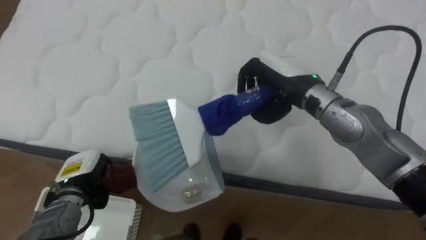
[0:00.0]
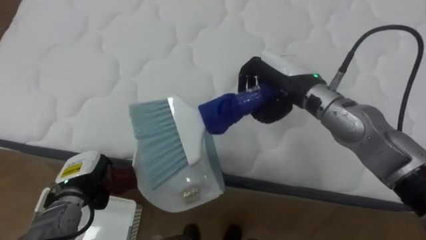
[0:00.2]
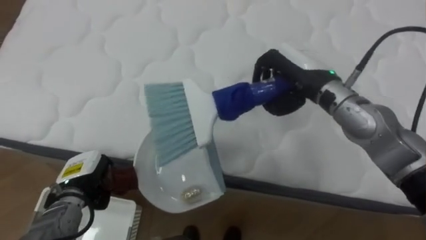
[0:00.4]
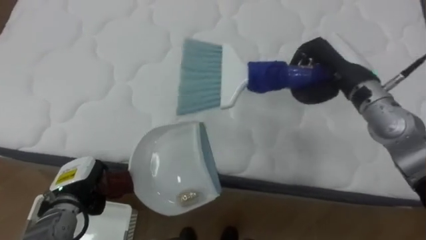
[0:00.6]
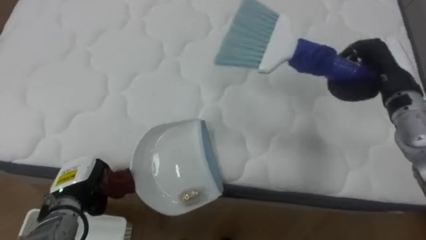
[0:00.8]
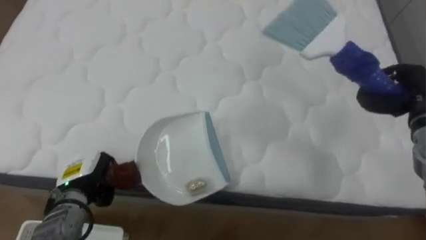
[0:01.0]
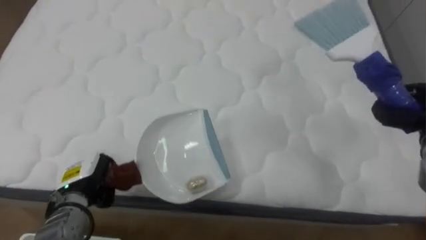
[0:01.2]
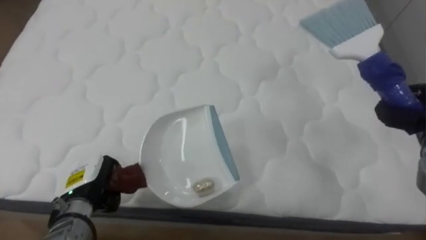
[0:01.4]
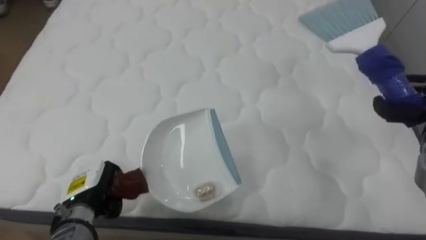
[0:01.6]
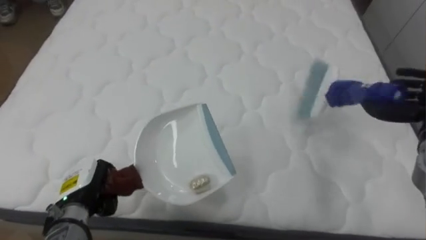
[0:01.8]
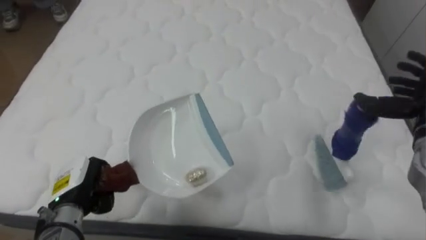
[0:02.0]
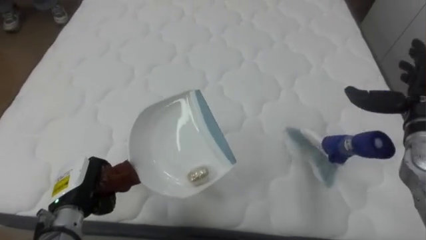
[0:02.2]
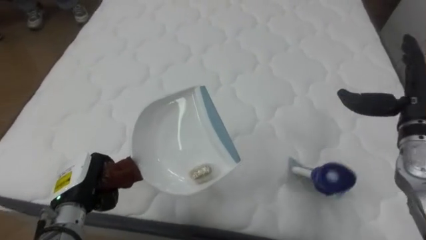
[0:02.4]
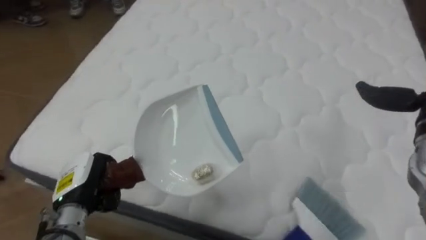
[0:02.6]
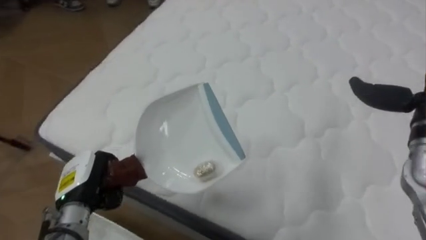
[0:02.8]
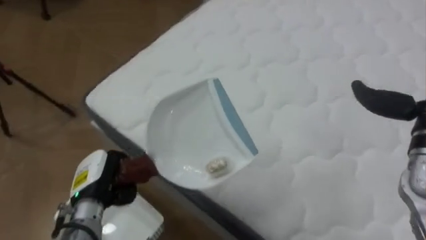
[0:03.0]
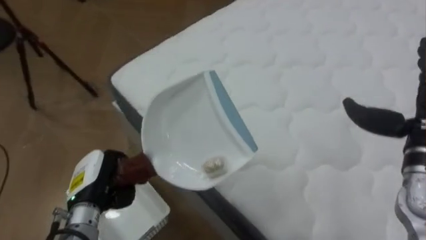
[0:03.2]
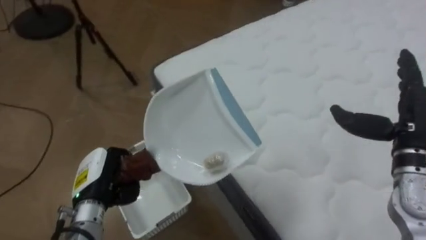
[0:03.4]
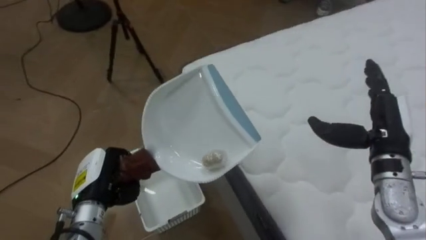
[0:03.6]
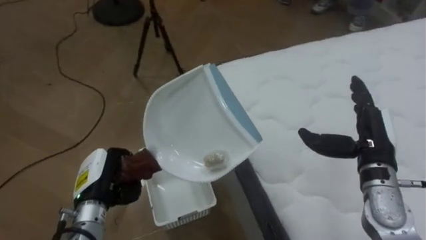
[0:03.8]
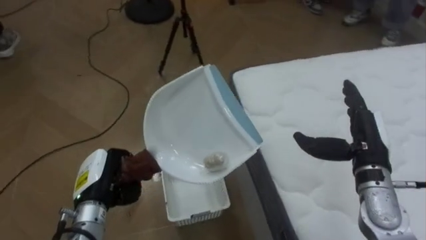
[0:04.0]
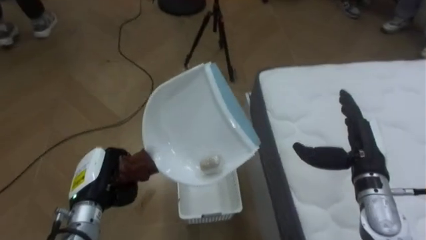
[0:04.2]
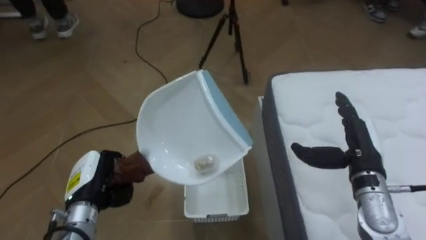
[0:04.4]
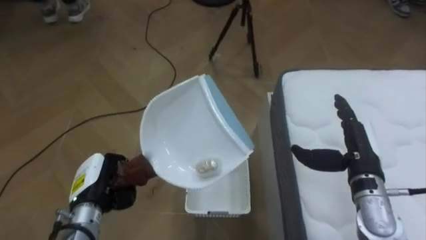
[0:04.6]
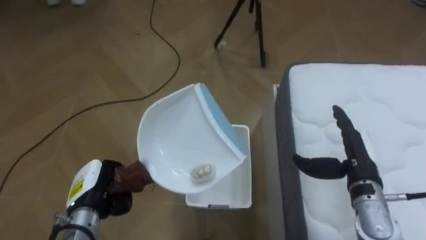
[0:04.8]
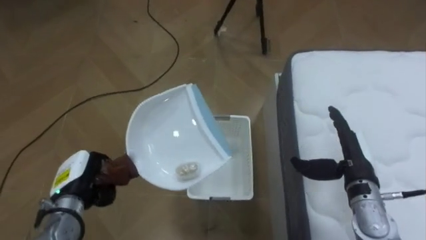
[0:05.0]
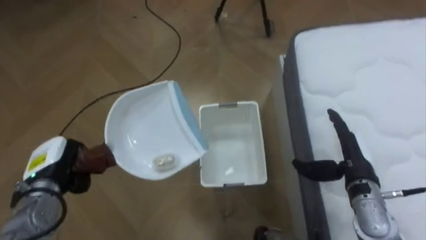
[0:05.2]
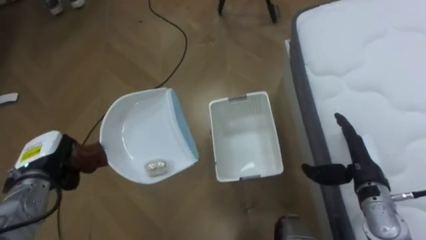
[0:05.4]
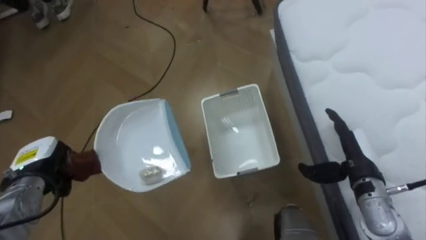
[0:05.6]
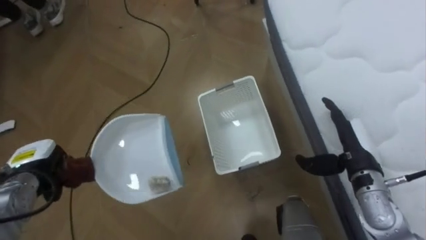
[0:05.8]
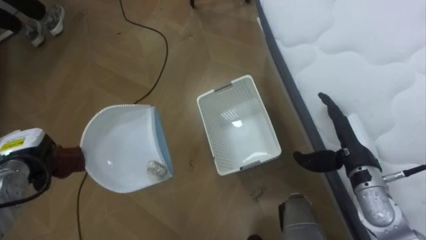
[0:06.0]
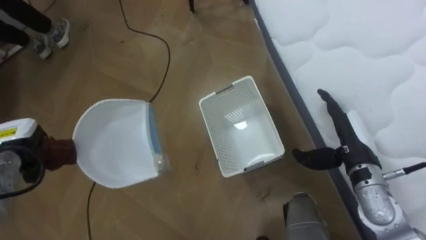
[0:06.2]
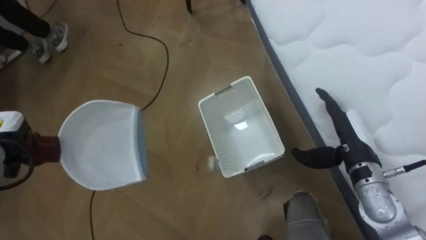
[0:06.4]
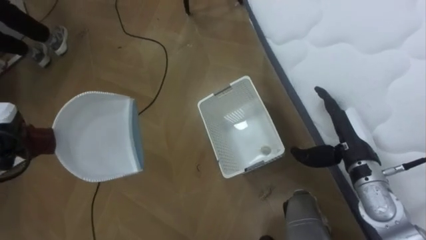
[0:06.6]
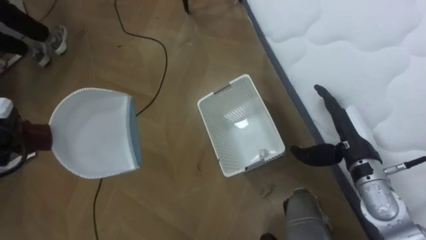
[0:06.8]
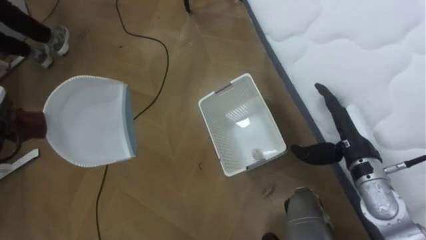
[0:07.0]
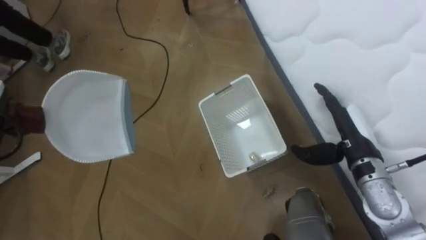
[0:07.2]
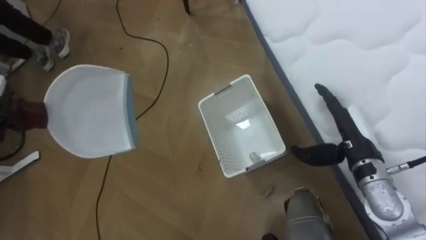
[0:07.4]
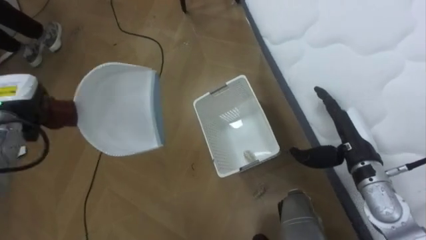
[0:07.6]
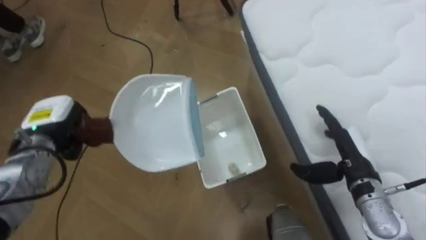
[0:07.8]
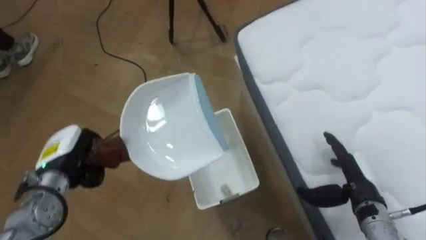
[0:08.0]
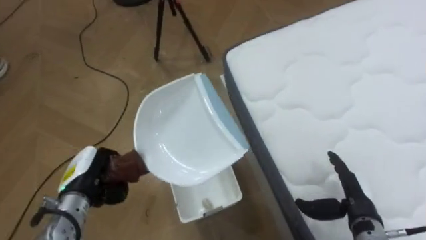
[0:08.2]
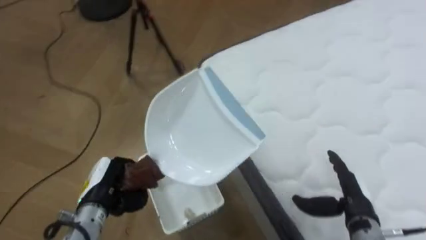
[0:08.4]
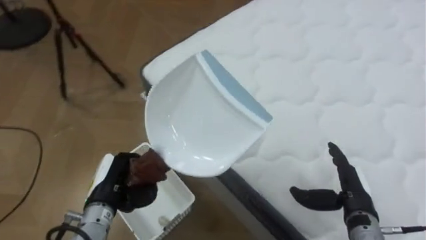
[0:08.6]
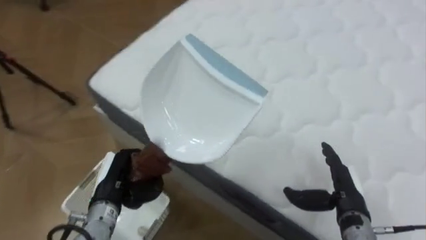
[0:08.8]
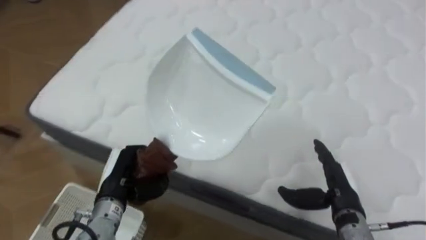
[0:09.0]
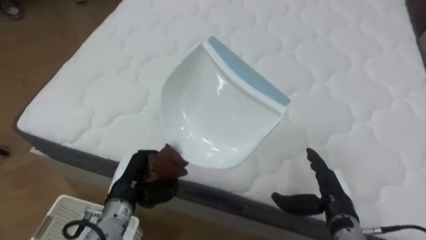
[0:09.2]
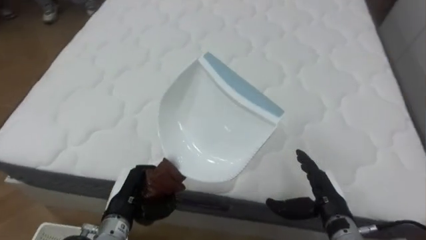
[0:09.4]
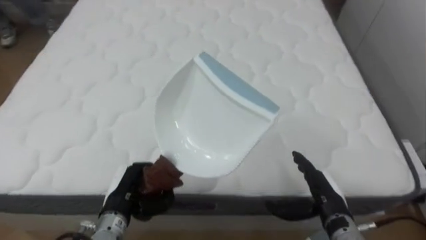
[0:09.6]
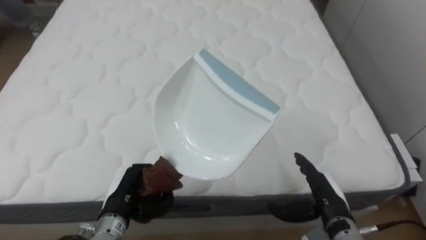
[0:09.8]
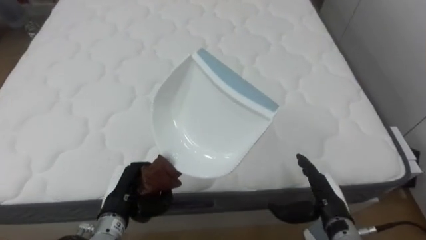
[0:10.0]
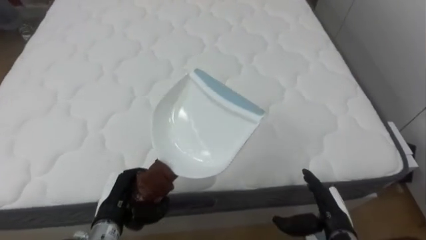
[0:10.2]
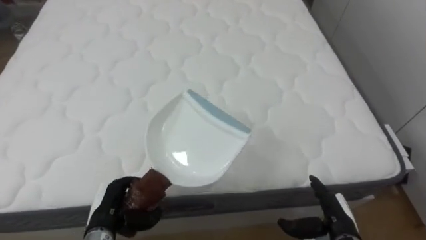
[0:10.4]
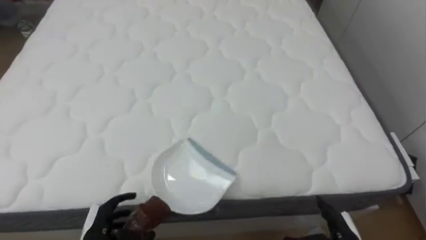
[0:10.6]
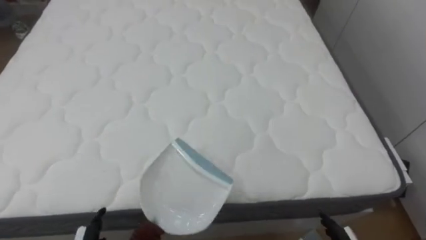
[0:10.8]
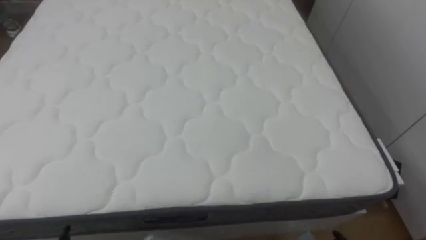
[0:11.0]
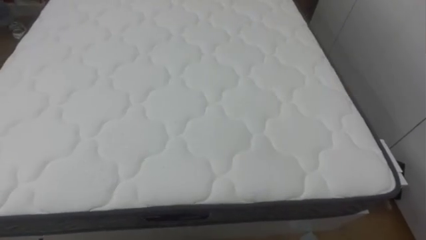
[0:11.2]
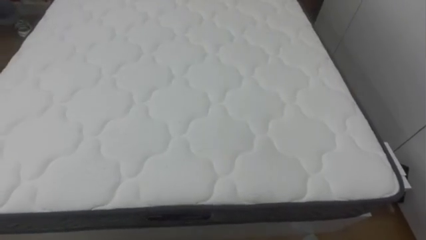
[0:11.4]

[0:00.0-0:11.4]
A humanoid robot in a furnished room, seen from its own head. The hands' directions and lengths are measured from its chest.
Task of the whole recording: Pick up the brush on your right and the dustpan on your left. Use the brush to sweep the crumpled paper on the bed into the dustpan, then turn left and empty it into the basket.
0:01.4 to 0:02.8: The robot's body swings some 20 degrees to its left.
0:02.8 to 0:04.2: The robot rotates approximately 60 degrees to its left.
0:04.2 to 0:05.6: The left hand heads to the left, covering some 10 cm.
0:07.2 to 0:08.6: The robot turns to its right by approximately 35 degrees. The right hand goes about 10 cm downward and backward.
0:08.6 to 0:10.0: The robot turns to its right by roughly 55 degrees.

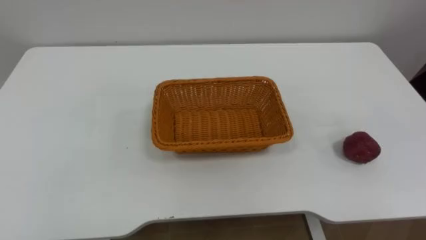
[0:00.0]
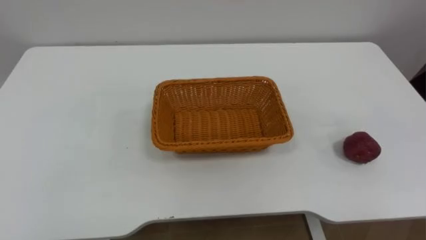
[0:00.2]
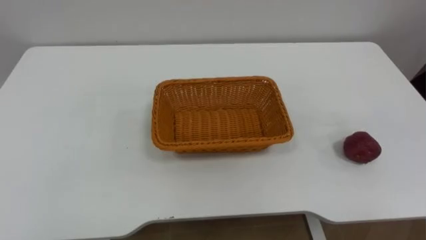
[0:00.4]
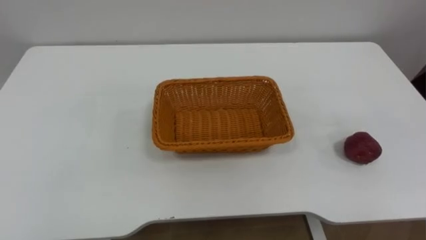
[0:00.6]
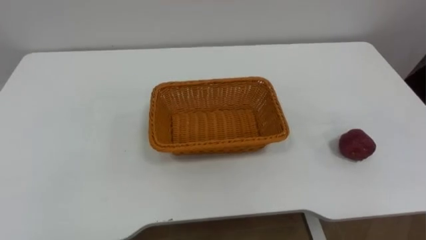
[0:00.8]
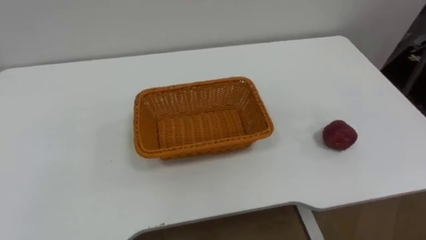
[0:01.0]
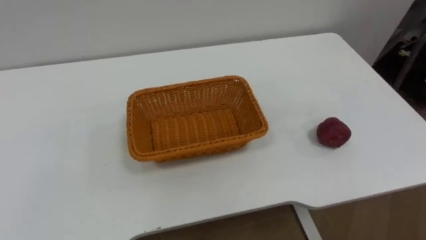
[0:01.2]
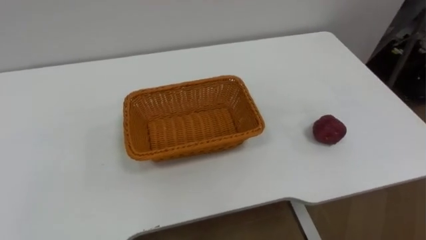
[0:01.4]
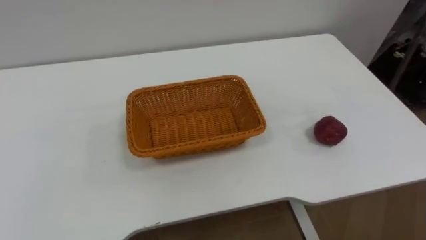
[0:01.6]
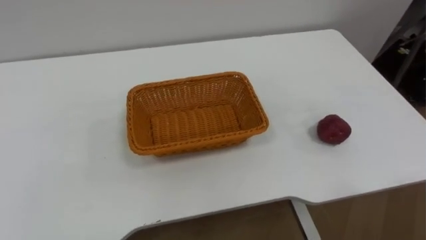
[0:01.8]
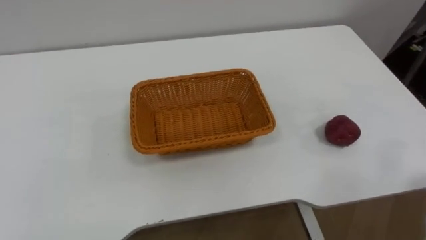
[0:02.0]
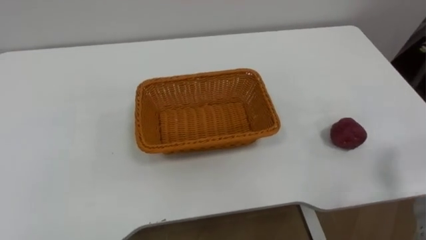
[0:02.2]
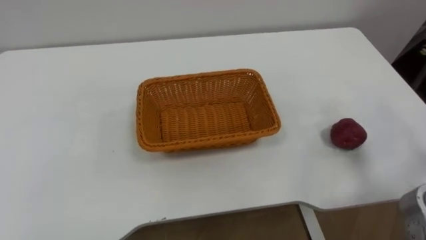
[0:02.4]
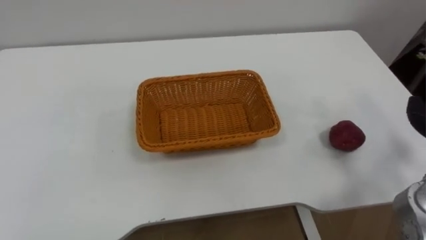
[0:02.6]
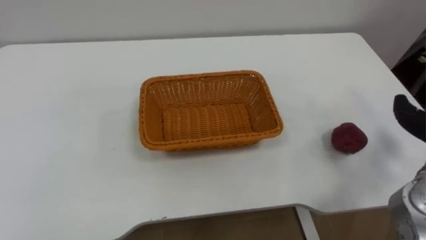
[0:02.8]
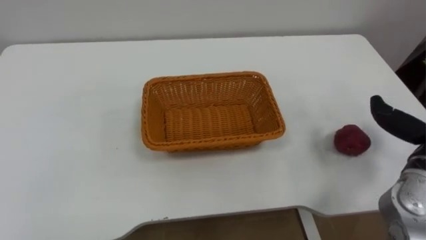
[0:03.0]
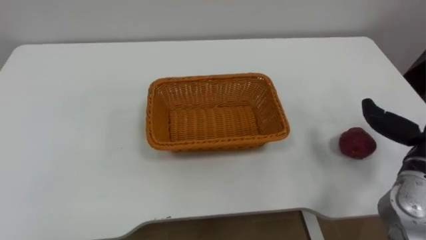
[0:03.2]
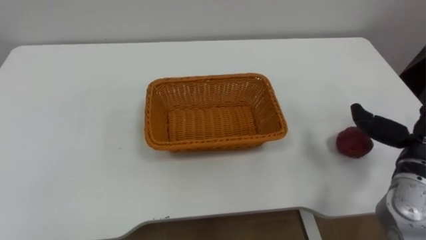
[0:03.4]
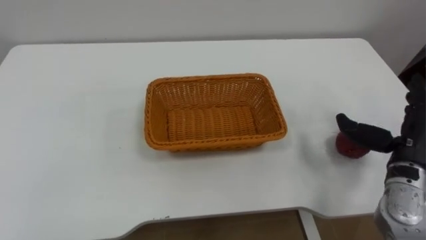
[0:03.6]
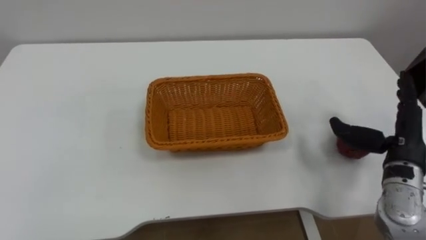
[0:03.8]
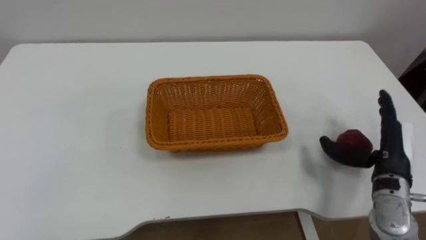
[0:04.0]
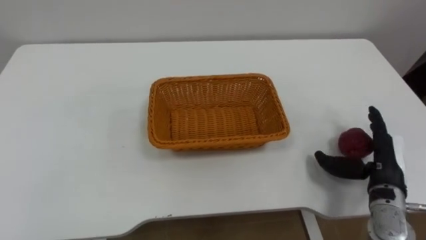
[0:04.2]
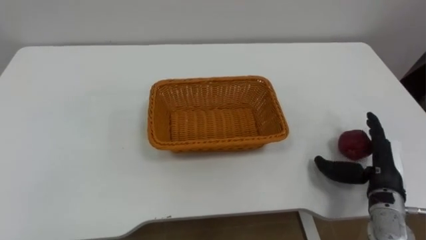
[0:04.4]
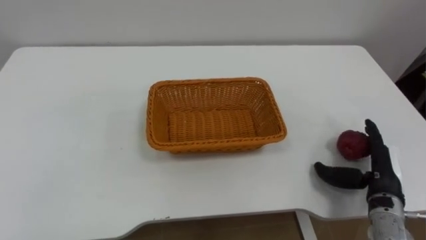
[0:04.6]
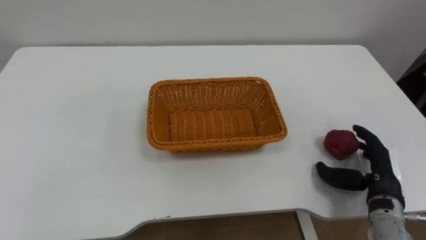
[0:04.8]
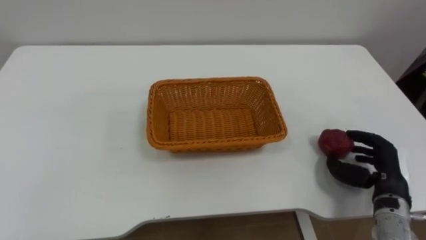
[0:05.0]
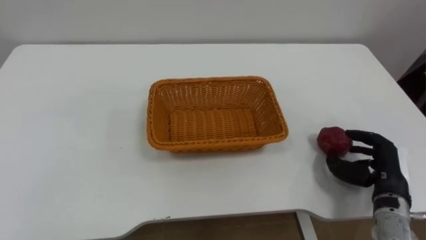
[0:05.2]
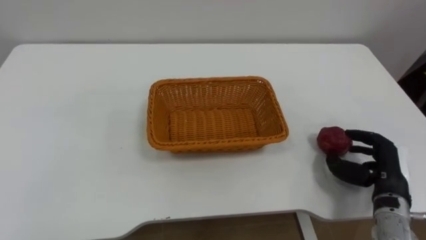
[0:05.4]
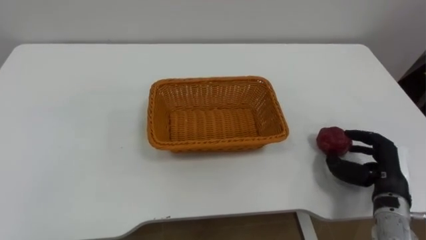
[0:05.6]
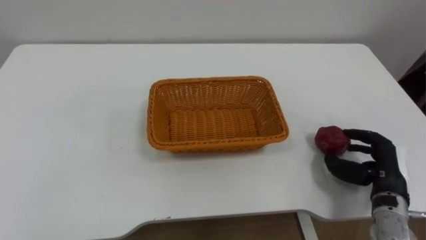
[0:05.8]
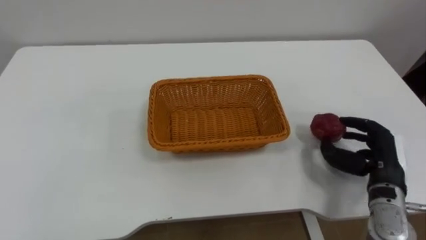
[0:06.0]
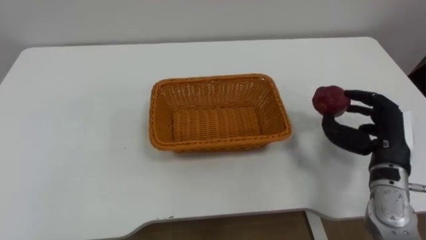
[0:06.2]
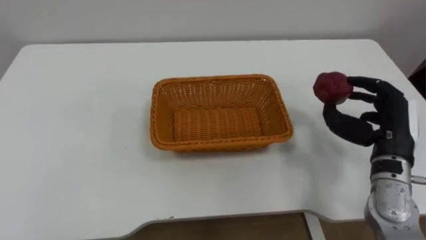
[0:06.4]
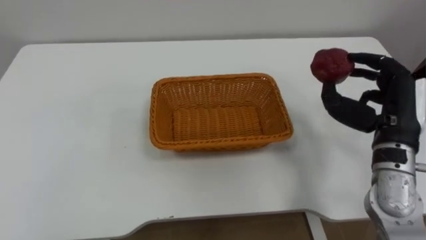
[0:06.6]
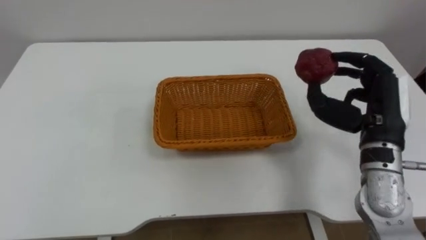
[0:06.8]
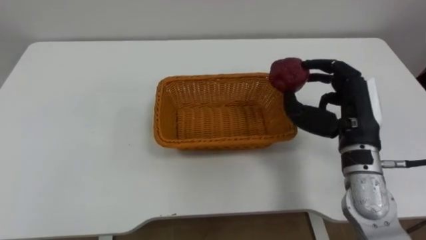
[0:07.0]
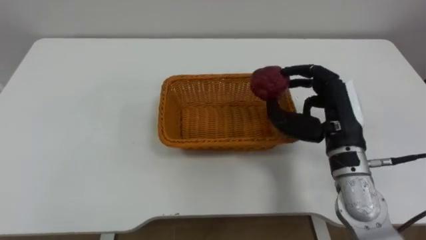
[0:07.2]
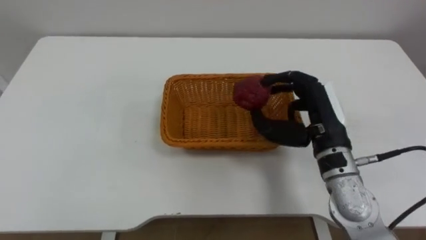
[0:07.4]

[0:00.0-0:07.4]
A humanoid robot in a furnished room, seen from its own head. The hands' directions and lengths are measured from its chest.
Task of the whole recording: Pick the apple and place it in the box.
0:04.4 to 0:06.0: The right hand closes up.
0:06.0 to 0:07.4: The right hand moves to the left and upward, approximately 15 cm.
